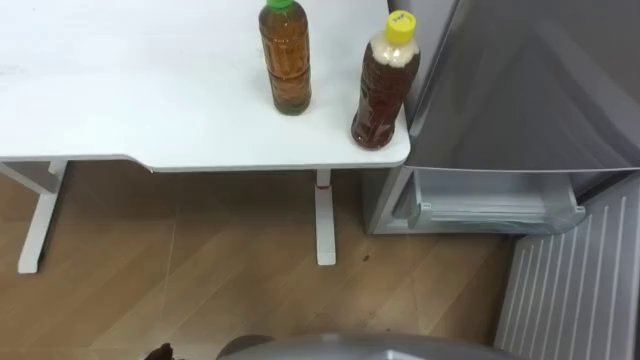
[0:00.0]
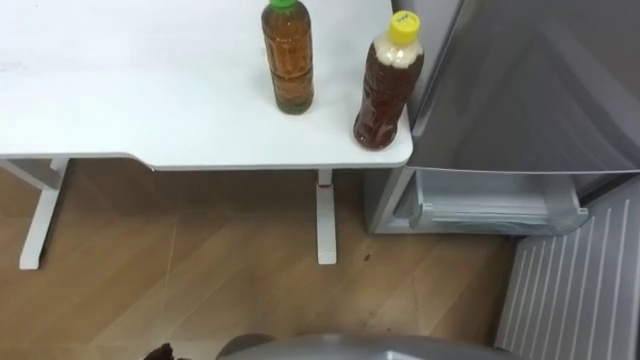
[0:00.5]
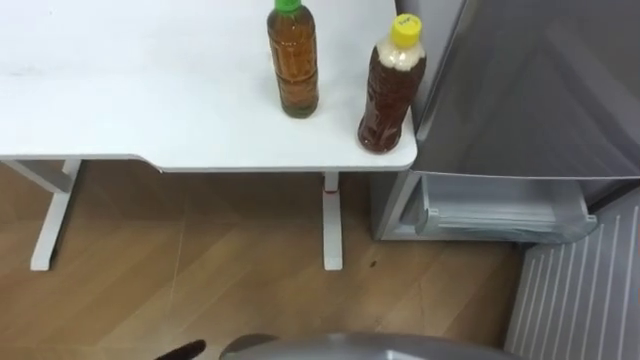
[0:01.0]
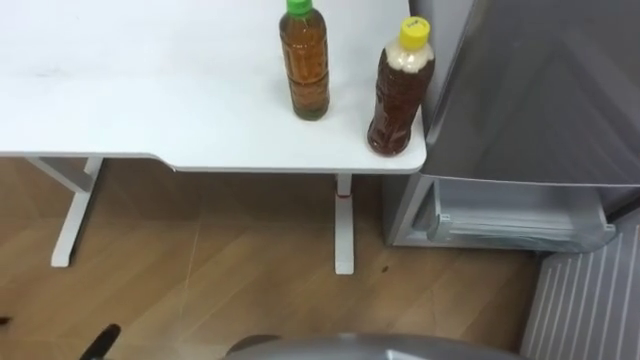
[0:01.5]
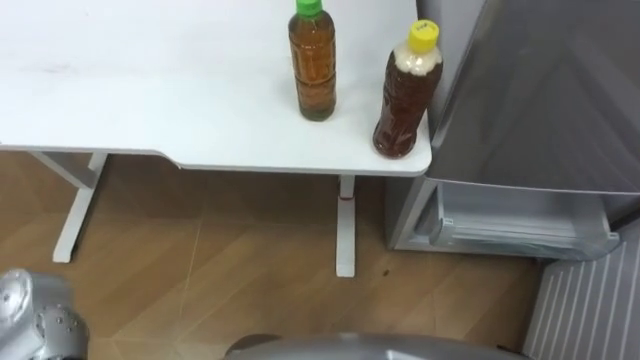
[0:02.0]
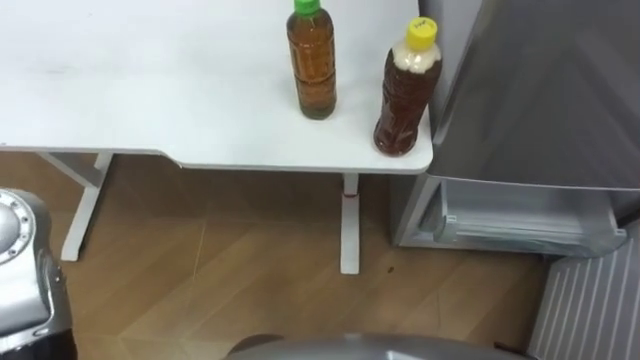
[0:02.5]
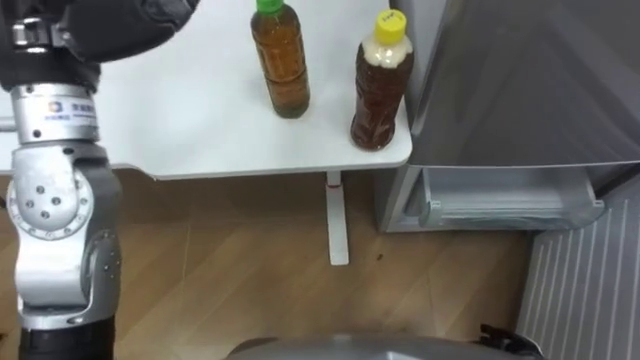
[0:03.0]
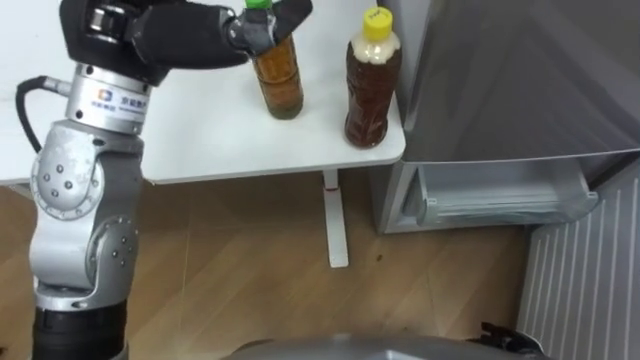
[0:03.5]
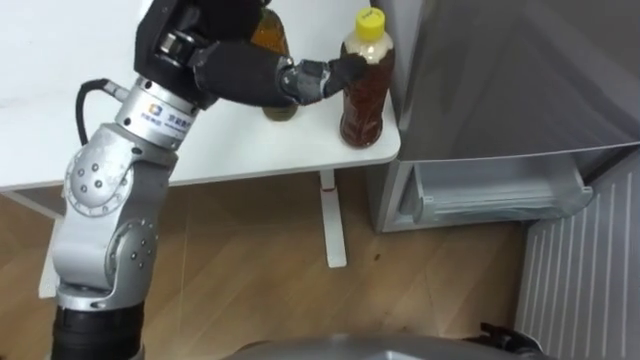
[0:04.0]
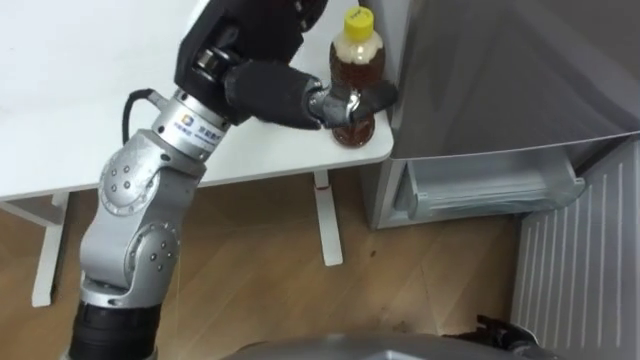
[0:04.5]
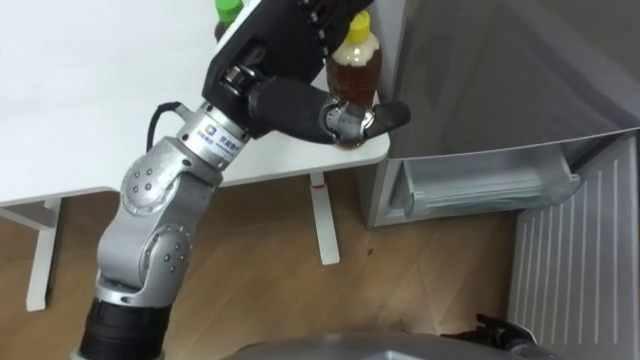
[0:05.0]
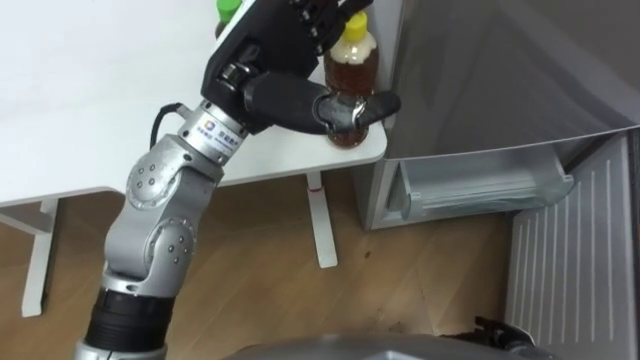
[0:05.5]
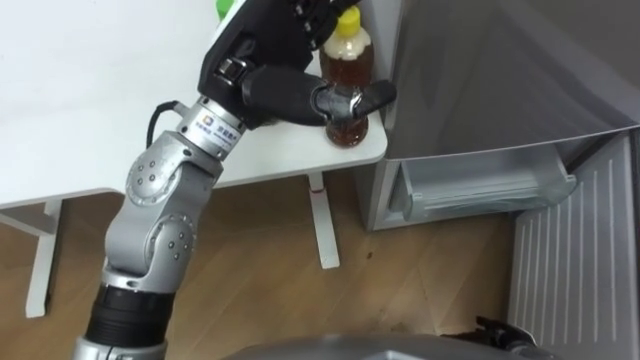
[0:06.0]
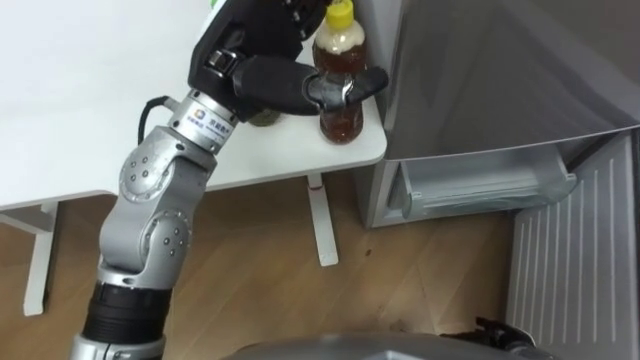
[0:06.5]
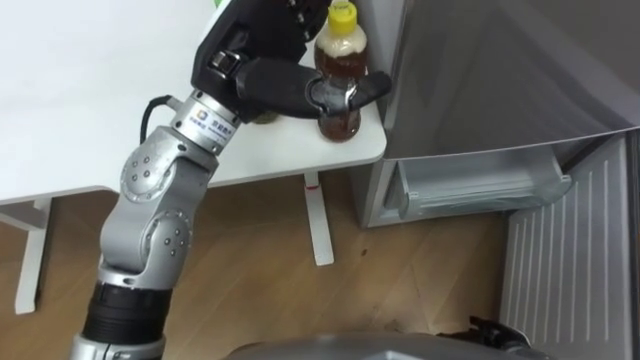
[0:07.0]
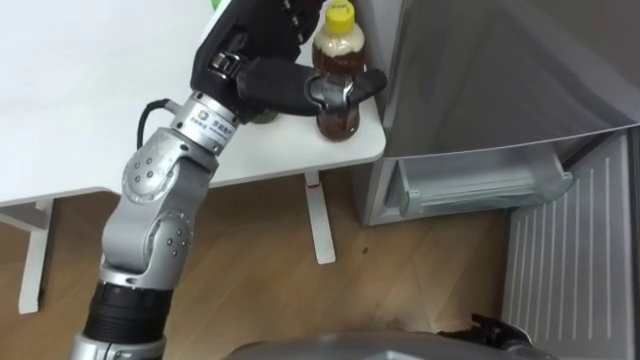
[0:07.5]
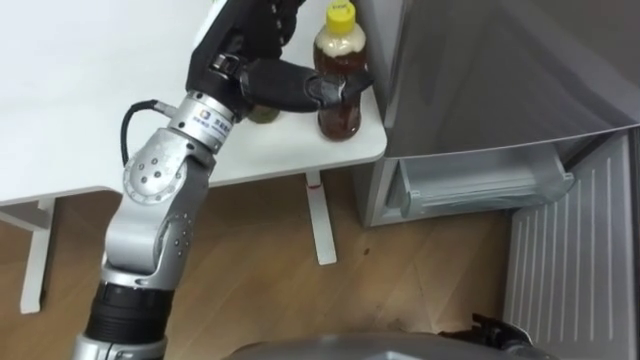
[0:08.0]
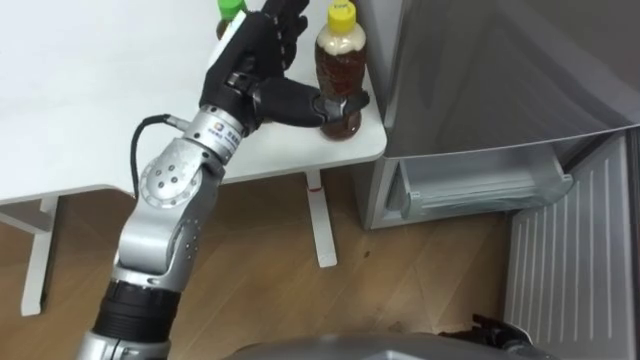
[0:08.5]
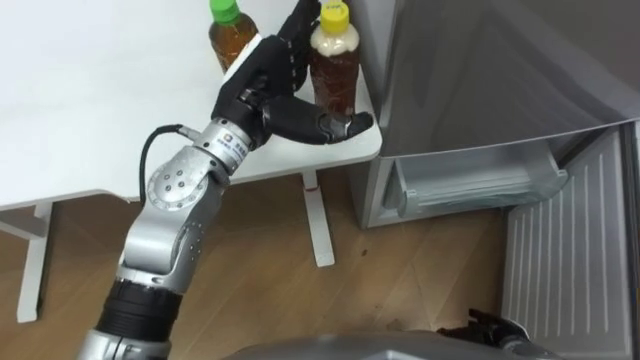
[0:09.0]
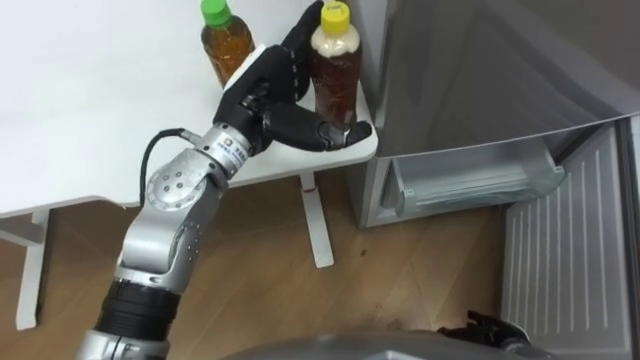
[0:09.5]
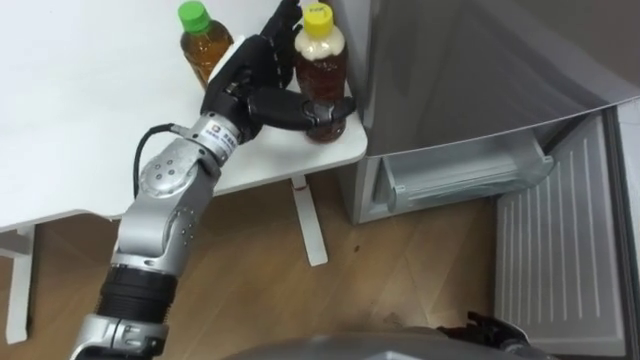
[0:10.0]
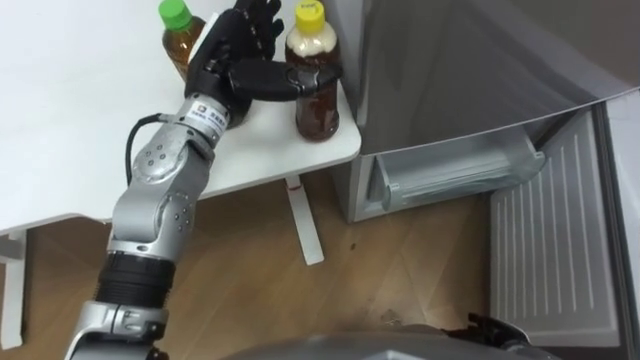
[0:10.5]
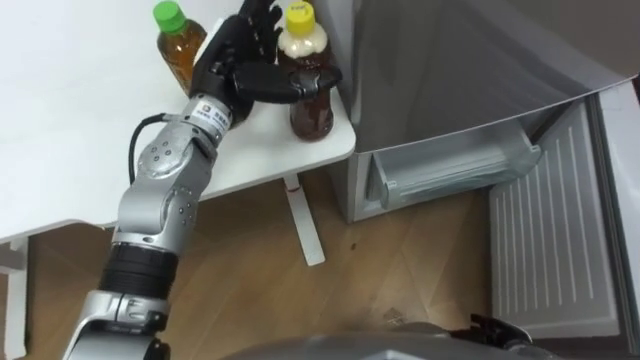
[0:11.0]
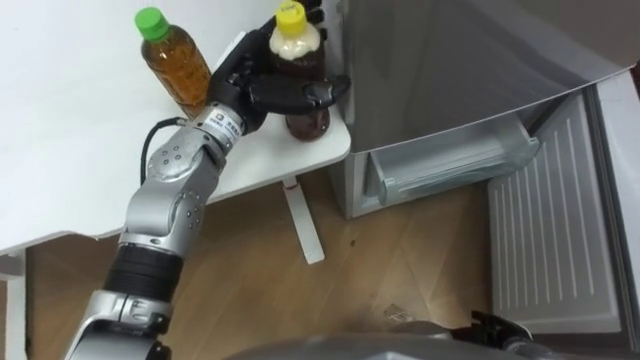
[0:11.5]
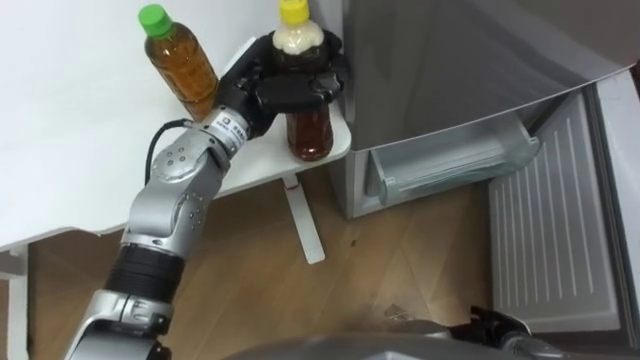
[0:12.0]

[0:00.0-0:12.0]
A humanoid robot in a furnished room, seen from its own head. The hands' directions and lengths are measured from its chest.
Task of the whole recording: Place the drink on the table on the bottom shelf of the refrigerator, then close the drawer and the refrigerator door.
0:04.0 to 0:06.0: The left hand changes place by roughly 5 cm.
0:06.0 to 0:08.0: The hands move only a little.
0:08.0 to 0:10.0: The left hand moves downward, some 5 cm.
0:10.0 to 0:12.0: The left hand closes.

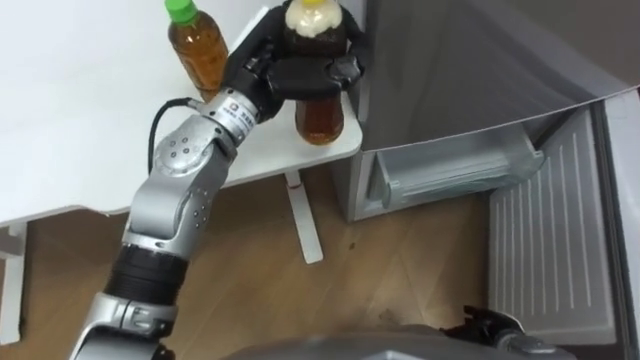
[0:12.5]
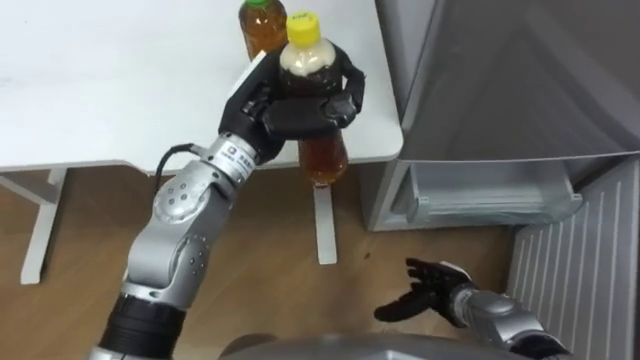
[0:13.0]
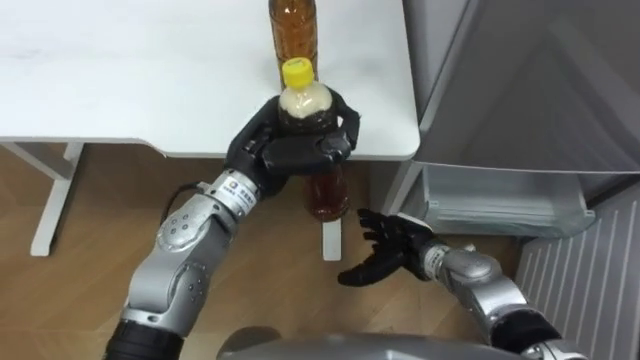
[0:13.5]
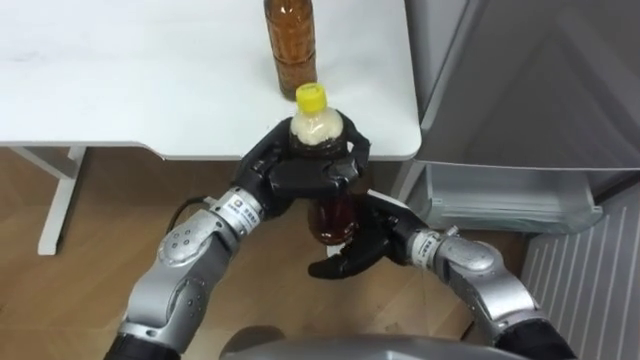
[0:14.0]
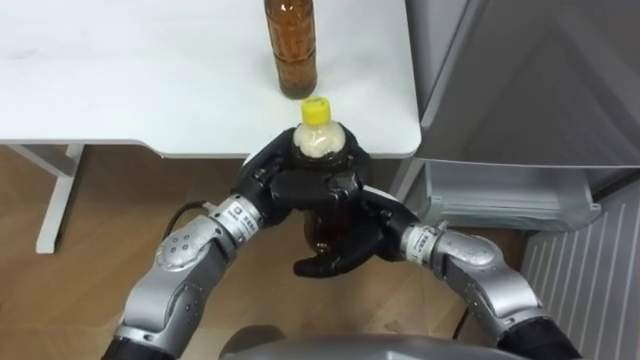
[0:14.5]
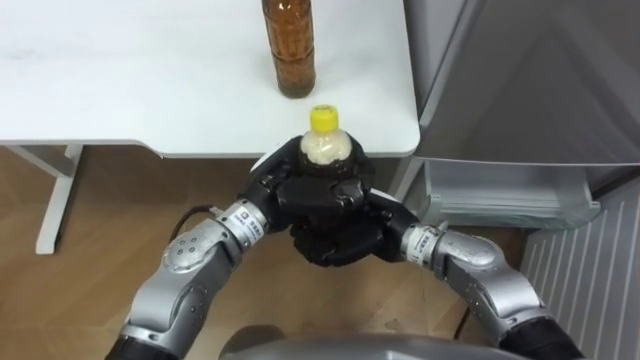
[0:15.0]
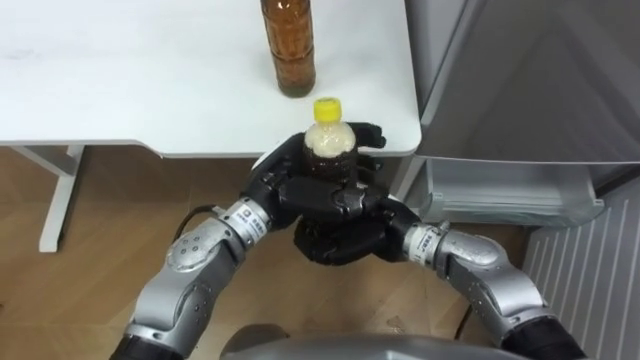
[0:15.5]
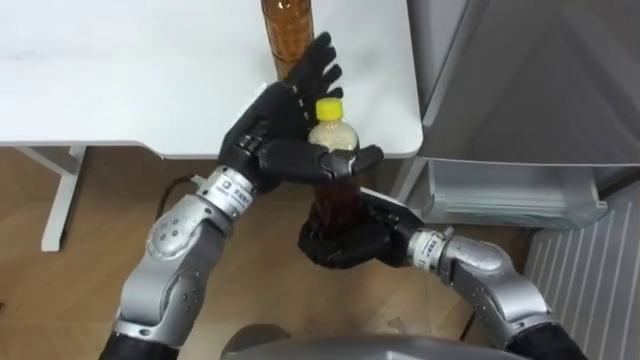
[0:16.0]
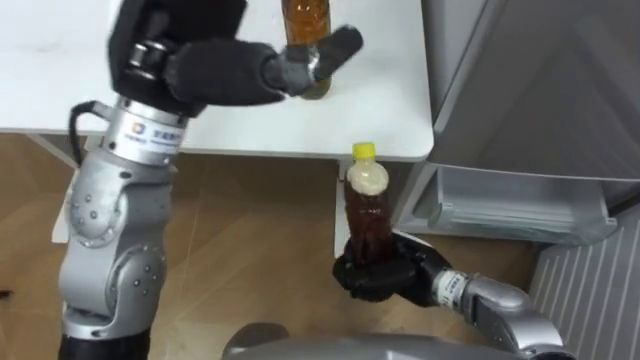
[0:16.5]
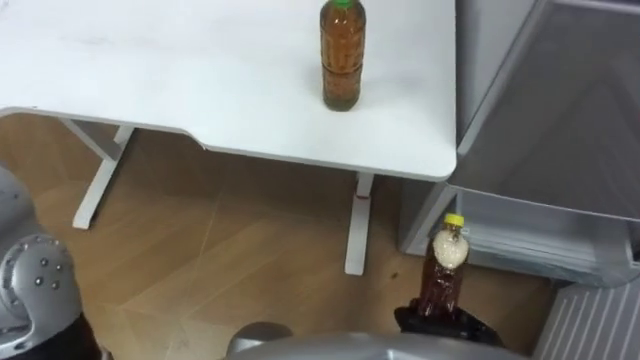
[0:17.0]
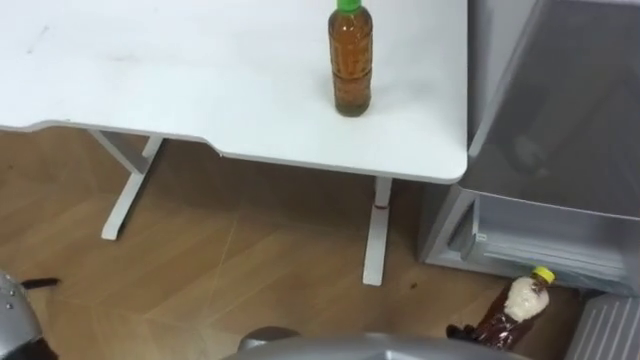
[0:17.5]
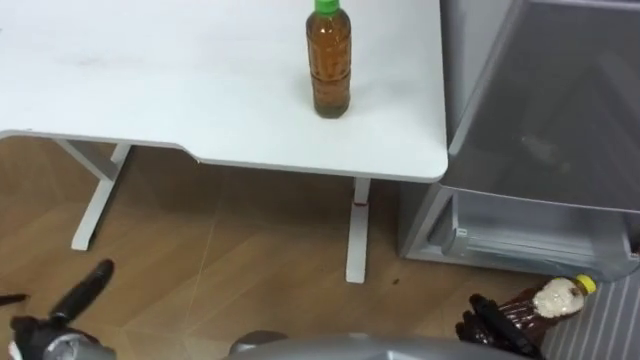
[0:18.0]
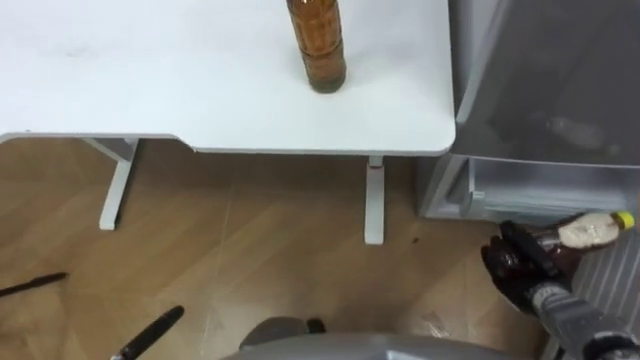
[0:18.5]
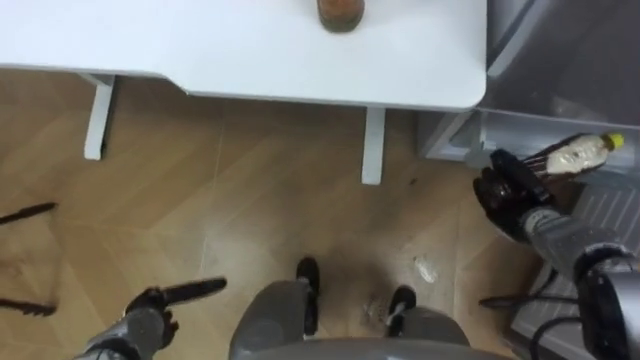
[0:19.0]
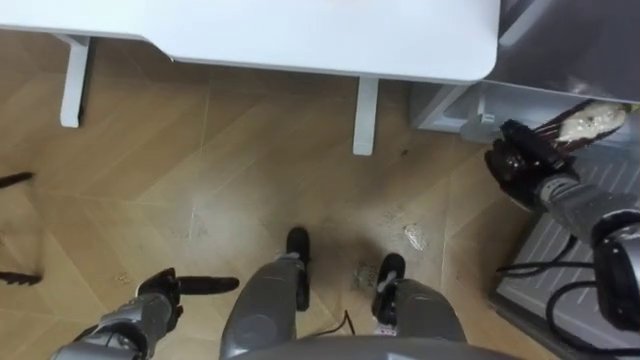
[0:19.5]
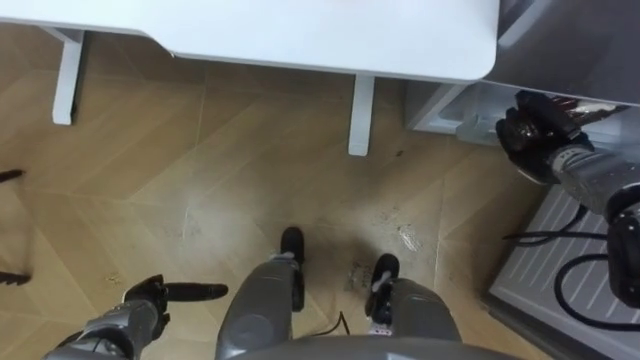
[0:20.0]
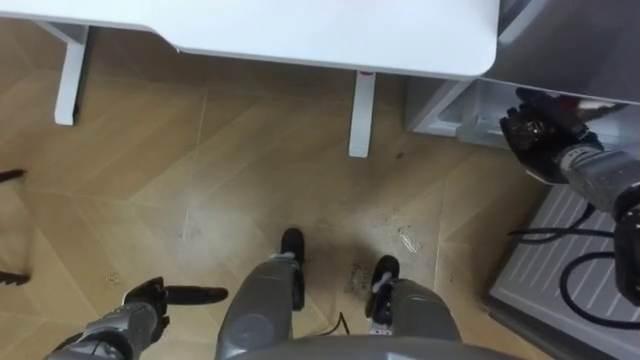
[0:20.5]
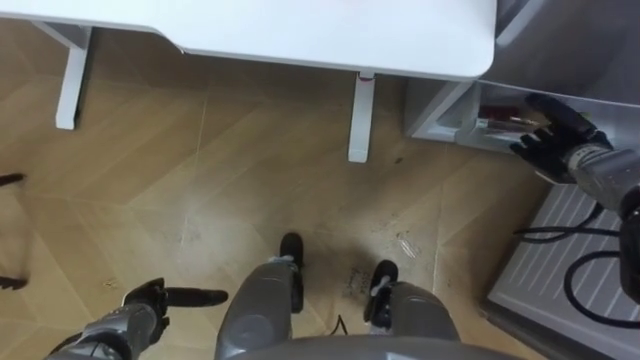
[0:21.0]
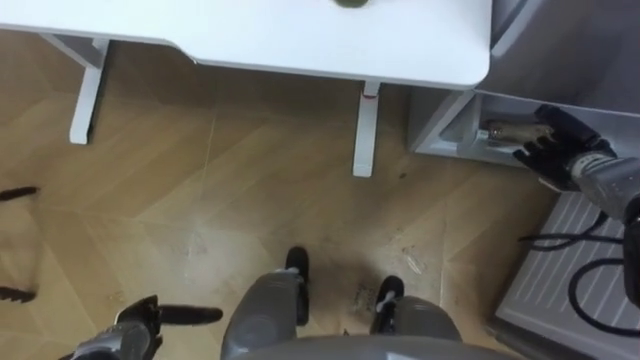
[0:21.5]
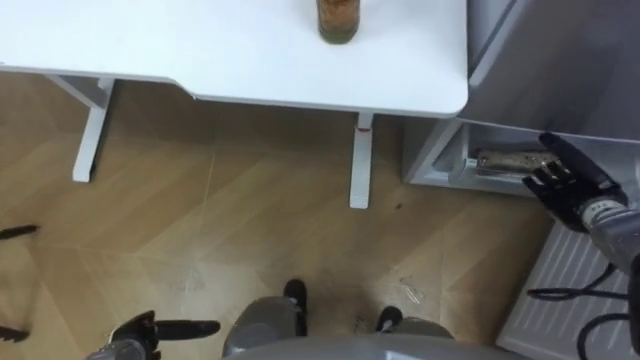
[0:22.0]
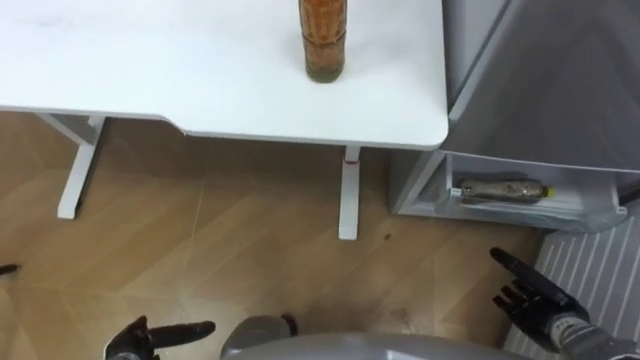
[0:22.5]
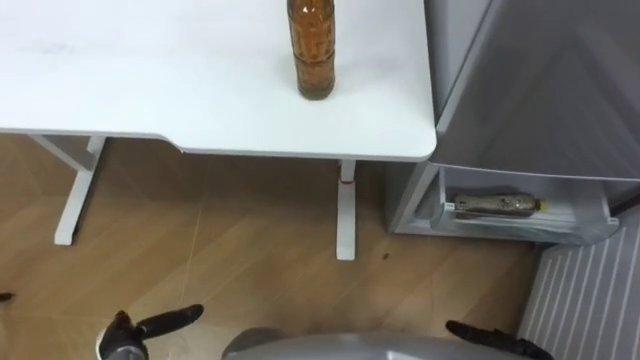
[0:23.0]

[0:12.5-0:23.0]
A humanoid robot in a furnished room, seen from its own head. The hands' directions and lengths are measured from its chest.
Task of the whole recording: Place the drink on the table on the bottom shelf of the refrigerator, then close the drawer and the refrigerator door.
0:12.5 to 0:14.5: The left hand shifts approximately 10 cm backward and downward. The right hand shifts about 30 cm to the left, upward and forward.
0:14.5 to 0:16.5: The right hand goes roughly 10 cm downward and to the right, and closes its fingers. Meanwhile the left hand shifts roughly 20 cm upward, and opens its fingers.
0:19.0 to 0:21.0: The right hand shifts roughly 10 cm upward and forward, and opens up.
0:21.0 to 0:23.0: The left hand travels backward by approximately 5 cm.
